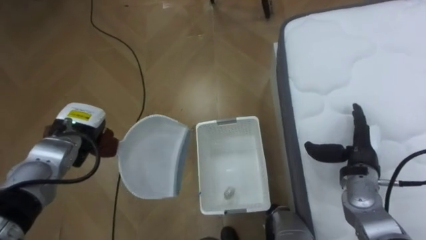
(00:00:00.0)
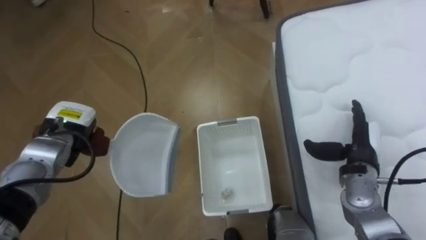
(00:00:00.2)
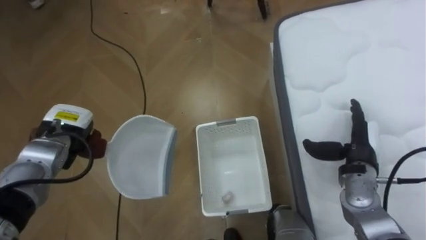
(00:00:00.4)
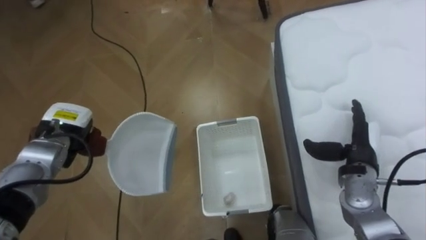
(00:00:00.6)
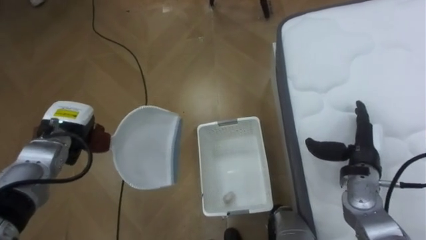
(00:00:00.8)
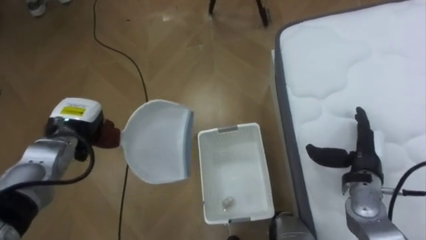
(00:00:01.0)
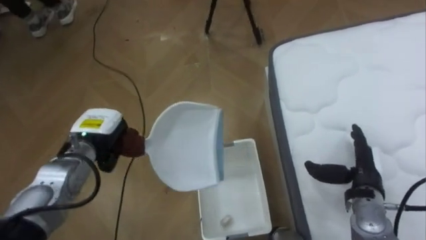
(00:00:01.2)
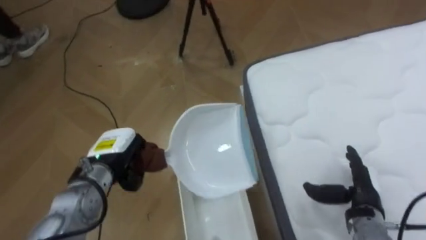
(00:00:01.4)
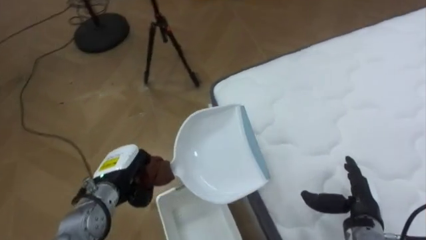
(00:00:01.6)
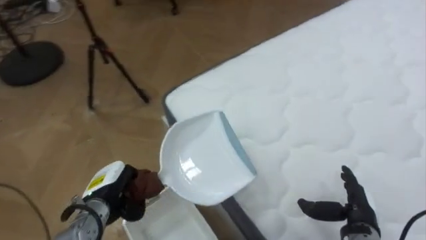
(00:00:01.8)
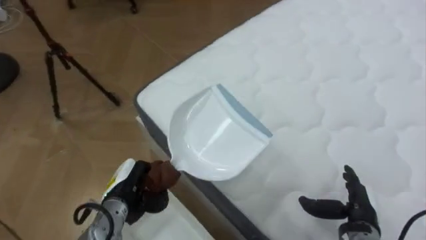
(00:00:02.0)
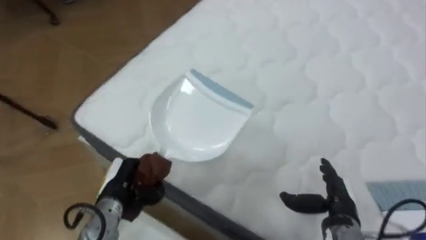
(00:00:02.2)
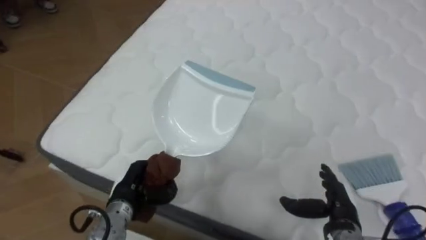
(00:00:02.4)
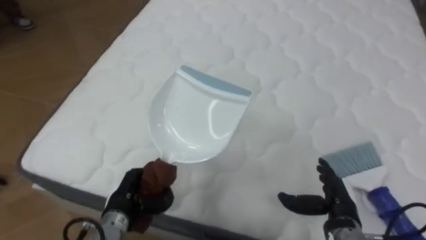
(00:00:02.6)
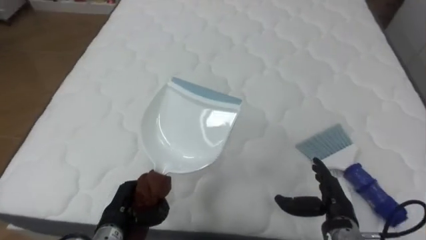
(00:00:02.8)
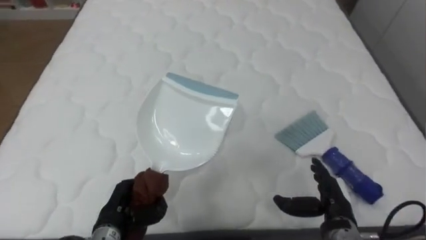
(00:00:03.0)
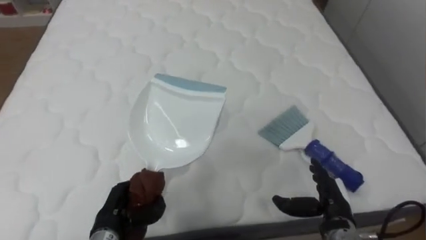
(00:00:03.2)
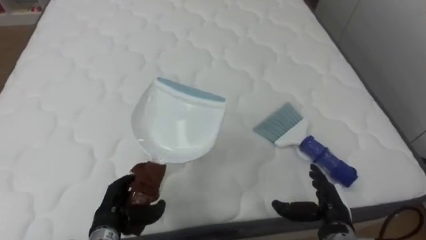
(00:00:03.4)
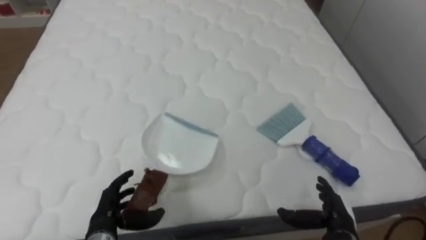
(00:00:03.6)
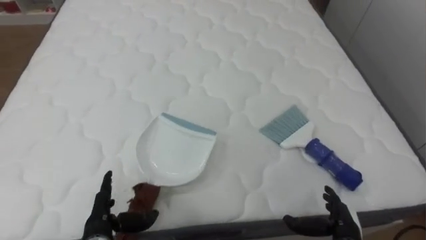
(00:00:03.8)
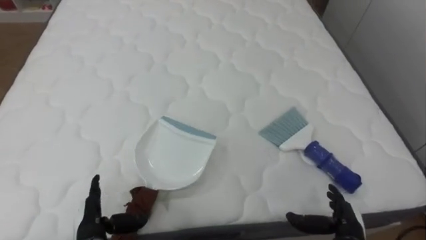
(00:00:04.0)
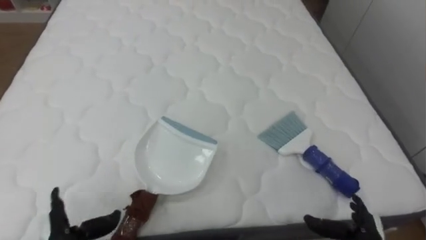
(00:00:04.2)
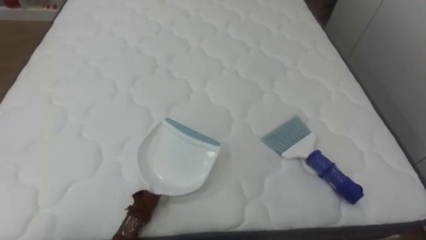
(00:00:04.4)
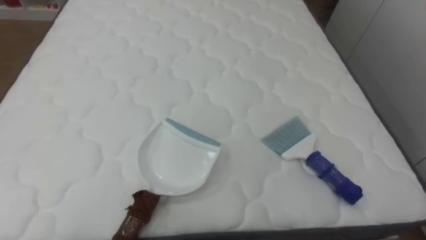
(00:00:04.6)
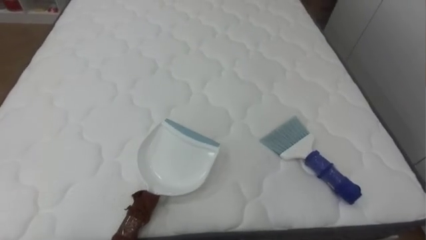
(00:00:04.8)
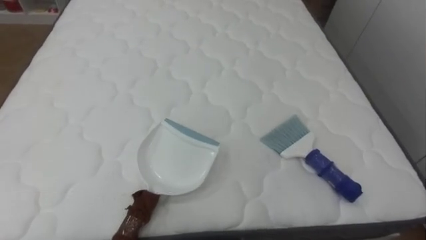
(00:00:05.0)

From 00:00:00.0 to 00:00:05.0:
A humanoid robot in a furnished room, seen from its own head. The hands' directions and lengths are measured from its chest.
Task of the whole recording: Pick up the brush on your right and the dustpan on your left. Use the brush to sweep the crumpled paper on the bed into the dustpan, then turn left and empty it into the basket.
From 00:00:00.0 to 00:00:01.6: The robot faces roughly 25 degrees further to its right. The left hand shifts approximately 10 cm to the right and backward; the right hand goes about 10 cm backward and downward.
From 00:00:01.6 to 00:00:03.4: The robot rotates approximately 75 degrees to its right. The right hand is displaced to the left by roughly 5 cm; the left hand goes some 5 cm backward, and opens its fingers.

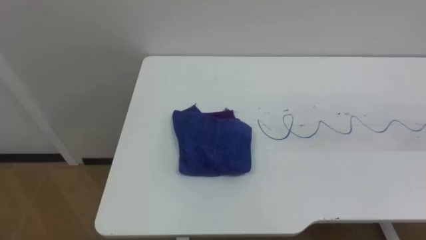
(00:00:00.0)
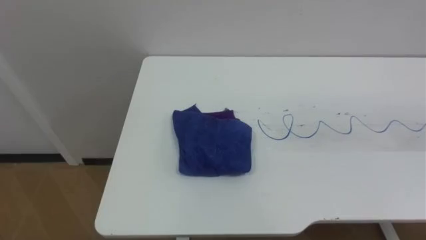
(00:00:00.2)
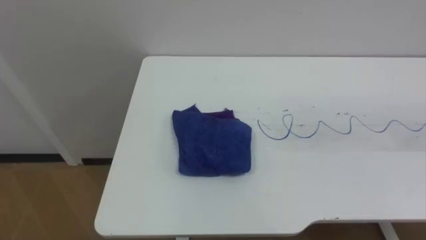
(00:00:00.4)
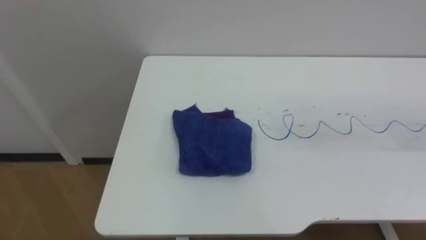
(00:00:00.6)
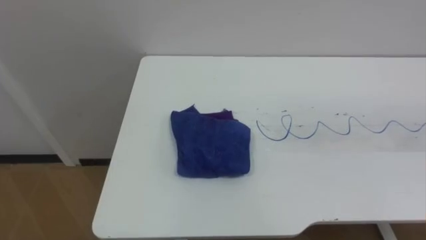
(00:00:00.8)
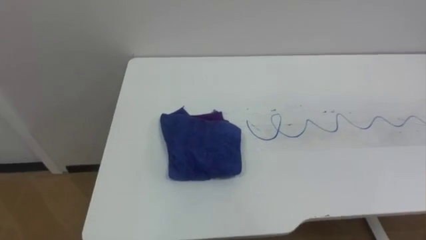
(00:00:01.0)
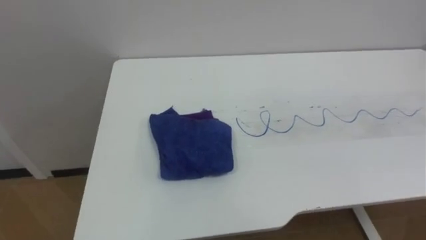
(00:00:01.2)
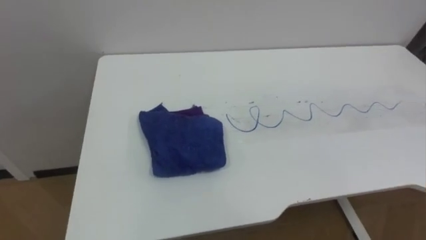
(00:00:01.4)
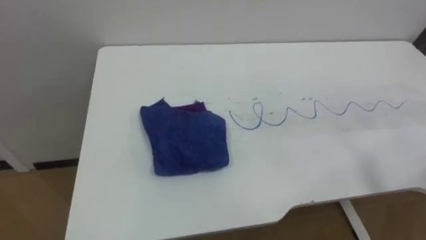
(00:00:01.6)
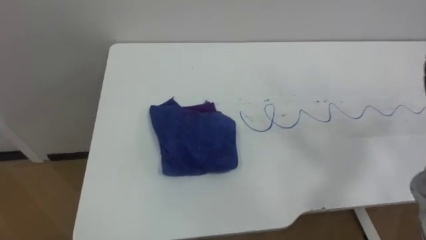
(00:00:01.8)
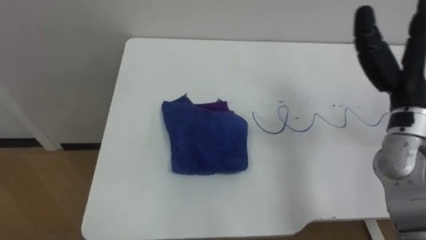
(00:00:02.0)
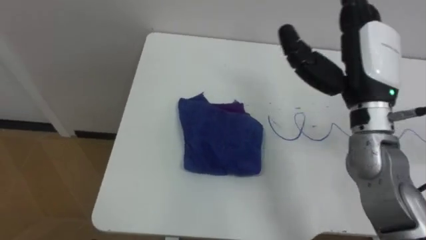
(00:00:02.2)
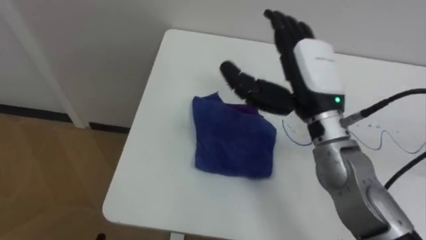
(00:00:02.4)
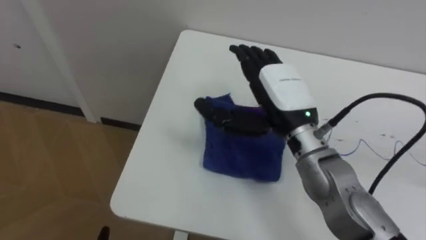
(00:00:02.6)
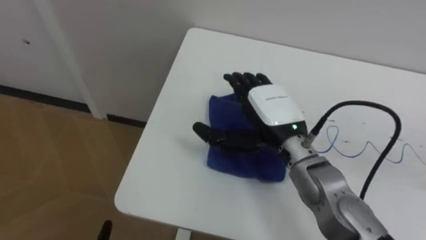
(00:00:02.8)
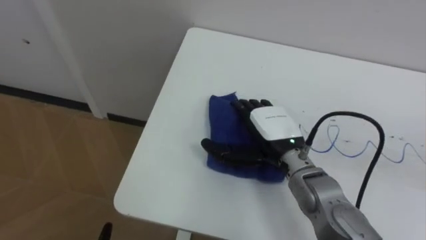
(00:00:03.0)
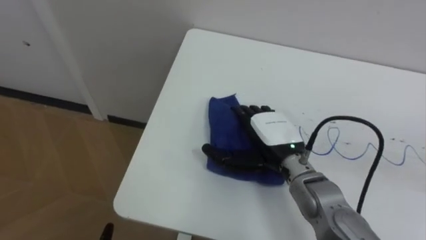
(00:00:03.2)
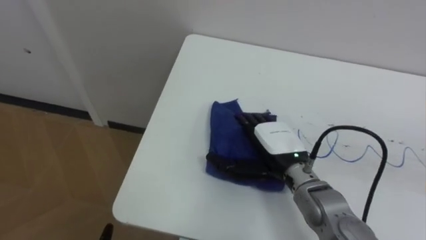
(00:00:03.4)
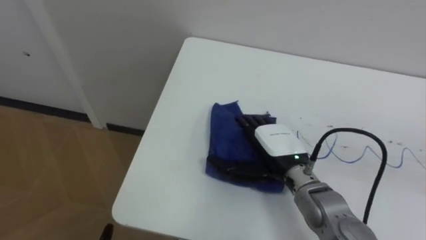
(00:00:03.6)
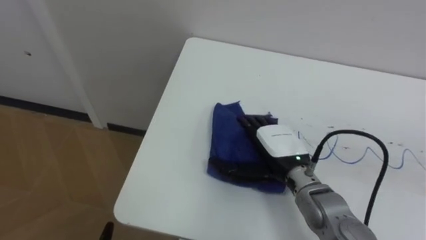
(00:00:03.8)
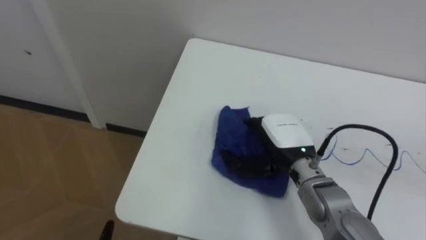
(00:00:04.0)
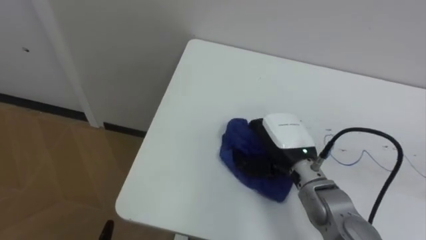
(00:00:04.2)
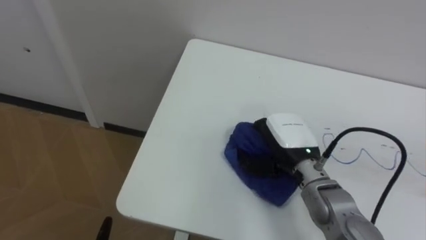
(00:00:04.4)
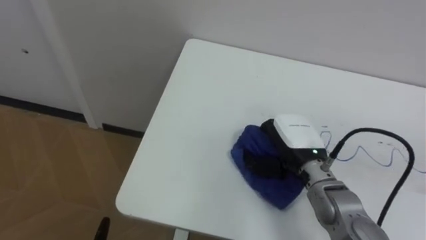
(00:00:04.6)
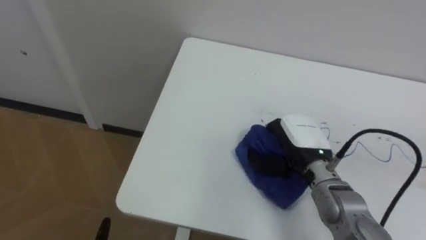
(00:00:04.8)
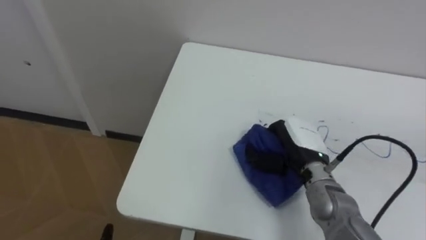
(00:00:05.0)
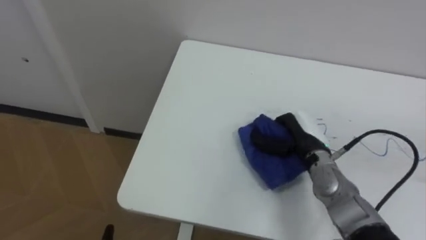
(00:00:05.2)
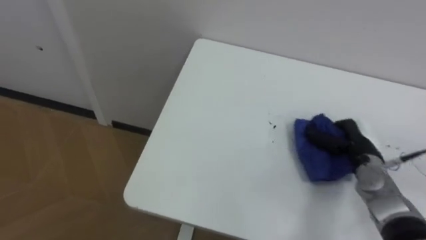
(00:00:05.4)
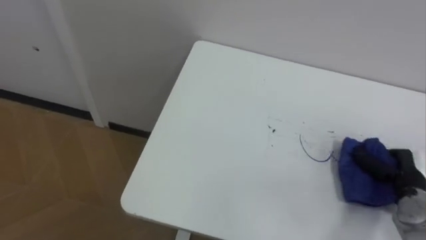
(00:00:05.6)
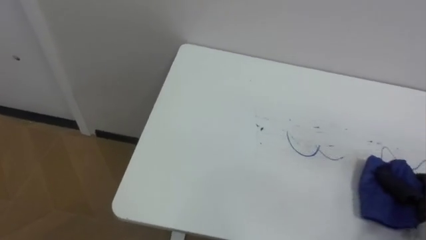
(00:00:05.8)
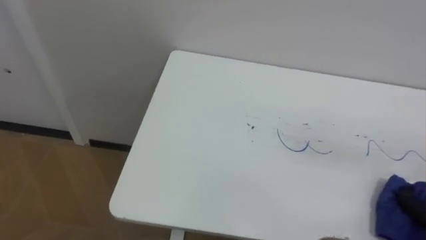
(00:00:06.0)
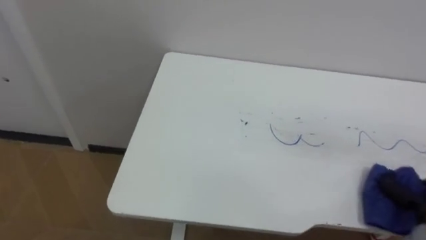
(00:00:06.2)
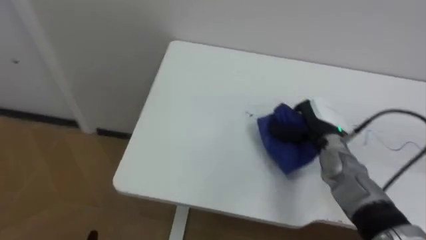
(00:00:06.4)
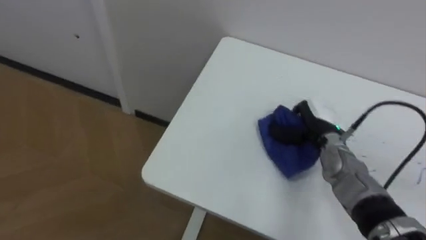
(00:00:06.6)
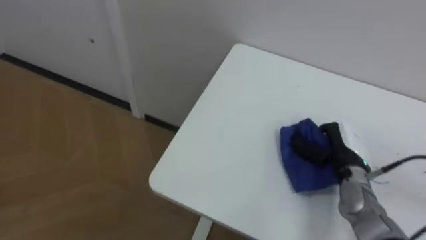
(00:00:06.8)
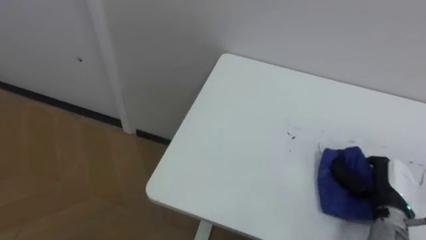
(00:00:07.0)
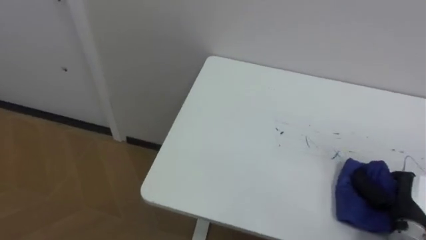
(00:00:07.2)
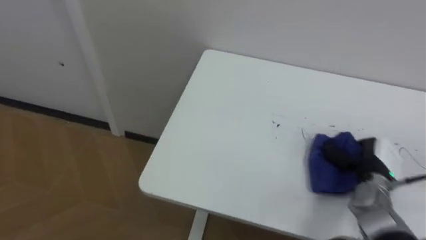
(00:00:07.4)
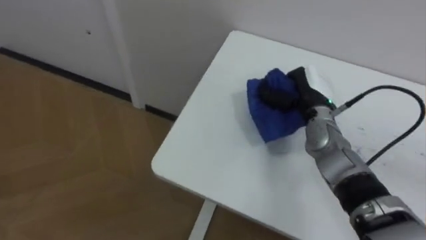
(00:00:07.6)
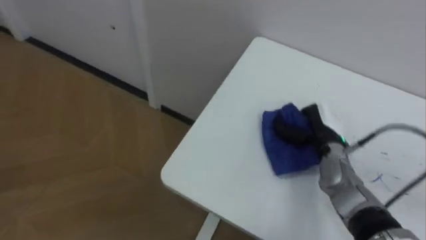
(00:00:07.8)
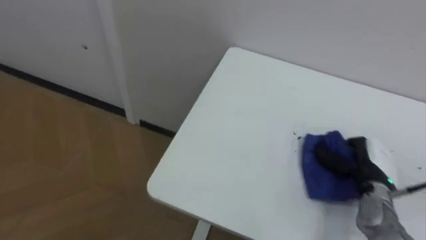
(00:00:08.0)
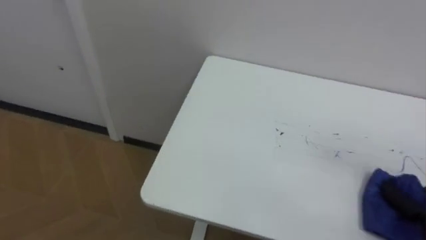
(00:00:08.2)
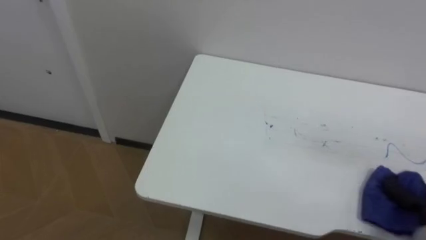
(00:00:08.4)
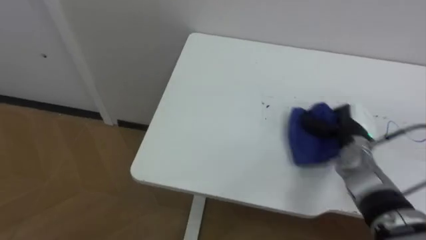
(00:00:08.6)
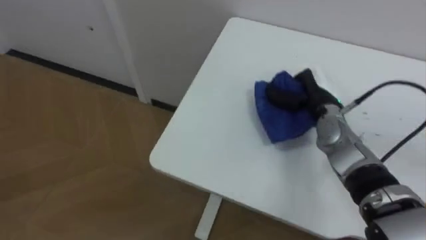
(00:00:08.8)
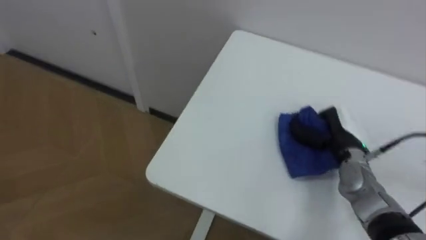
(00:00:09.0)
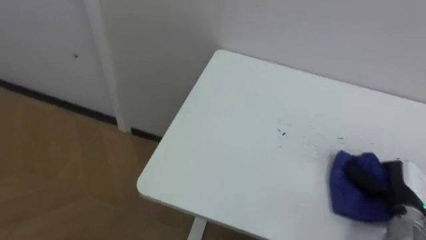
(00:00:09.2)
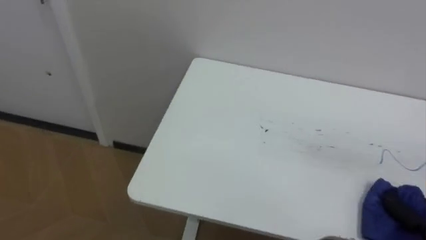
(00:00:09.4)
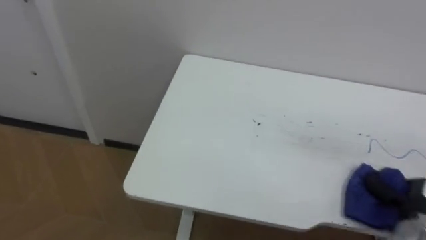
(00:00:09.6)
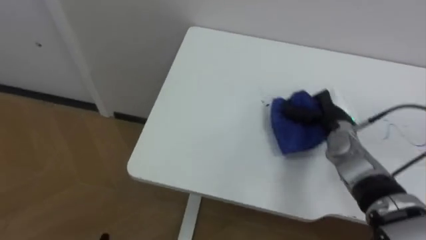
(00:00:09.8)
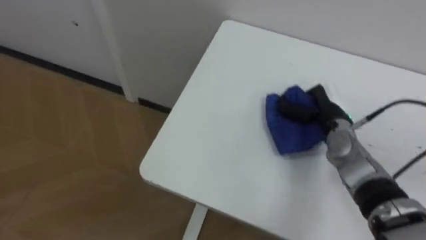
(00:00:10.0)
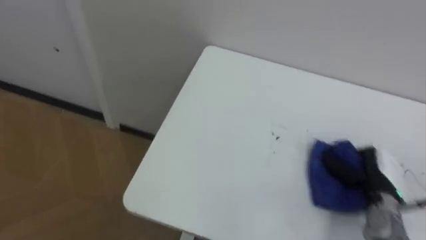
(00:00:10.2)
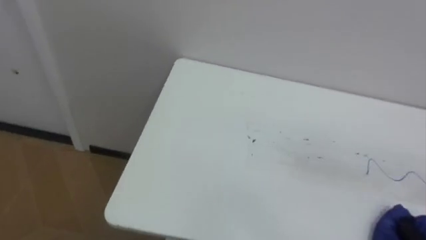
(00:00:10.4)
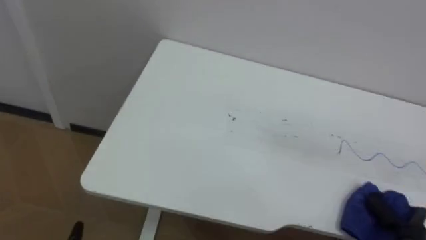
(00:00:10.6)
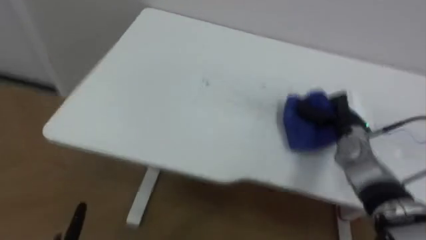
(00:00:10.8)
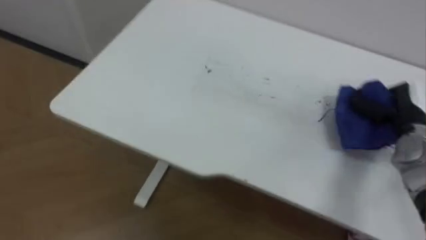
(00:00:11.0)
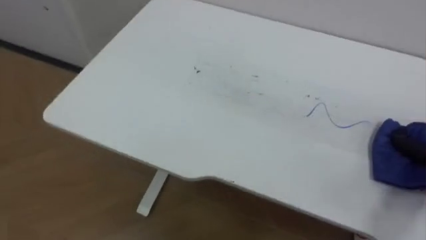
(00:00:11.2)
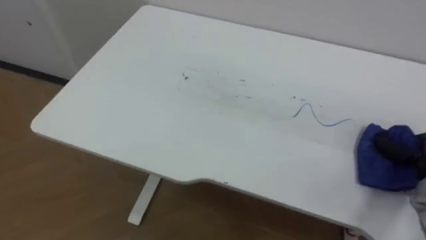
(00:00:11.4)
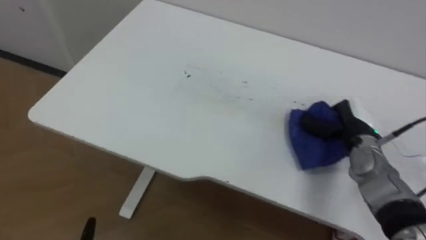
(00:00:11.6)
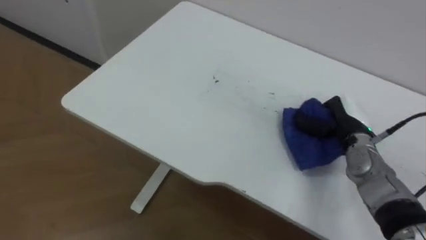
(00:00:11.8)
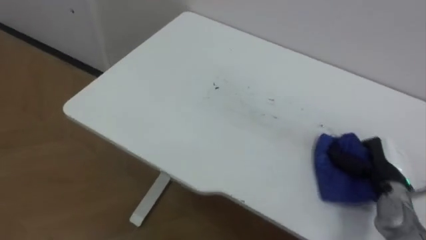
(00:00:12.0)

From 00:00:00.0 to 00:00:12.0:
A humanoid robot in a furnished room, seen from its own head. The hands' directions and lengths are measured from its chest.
Task of the whole recording: Wipe the blue pen marks off the table with the rag.
From 00:00:03.0 to 00:00:04.4: The right hand closes.
